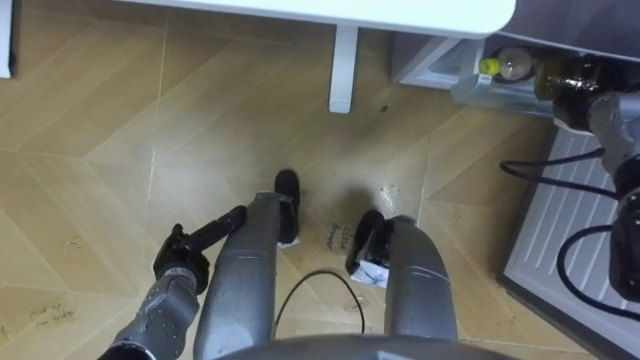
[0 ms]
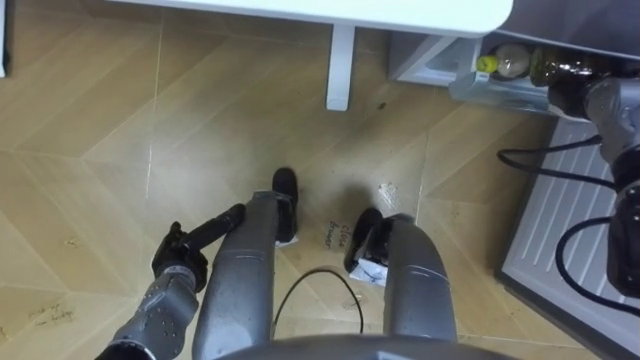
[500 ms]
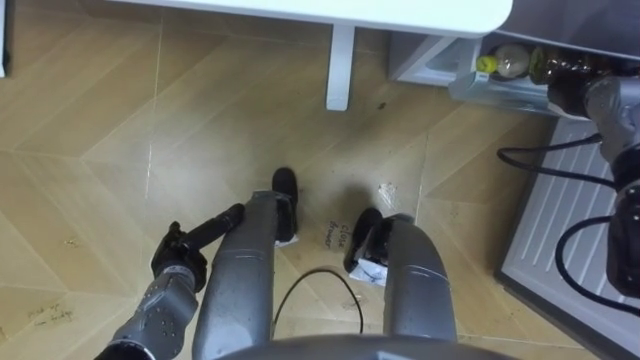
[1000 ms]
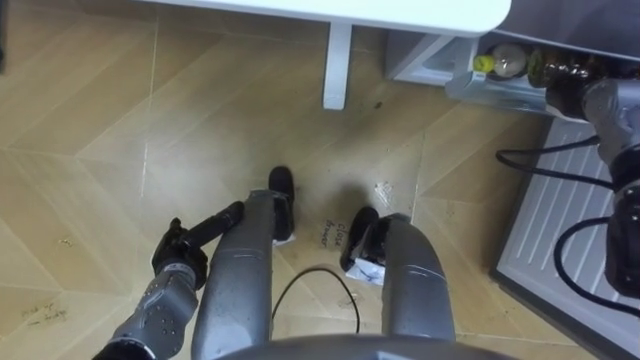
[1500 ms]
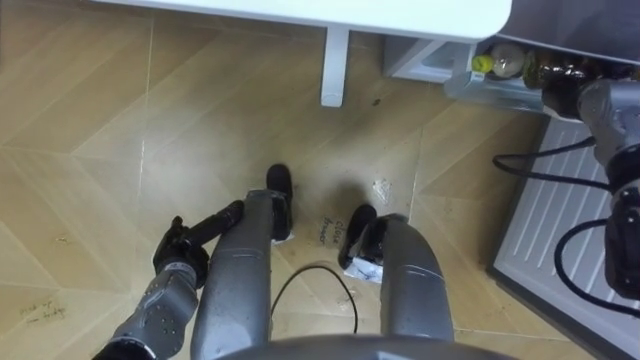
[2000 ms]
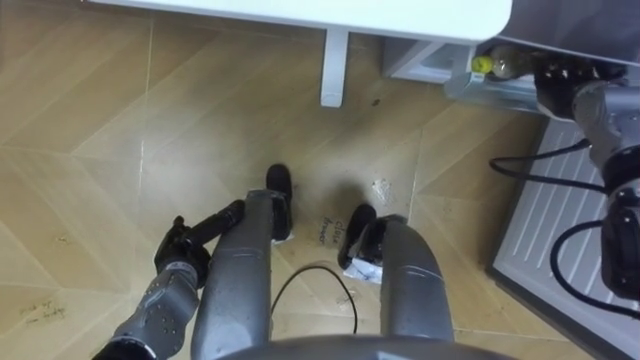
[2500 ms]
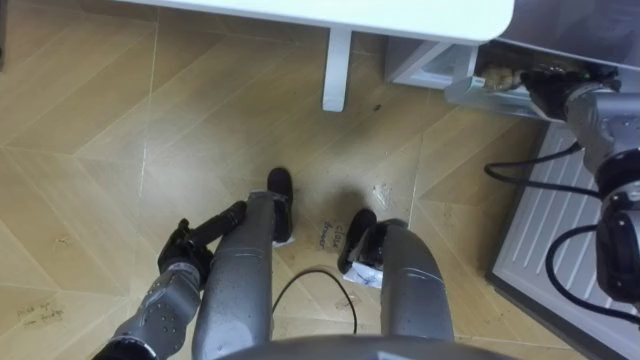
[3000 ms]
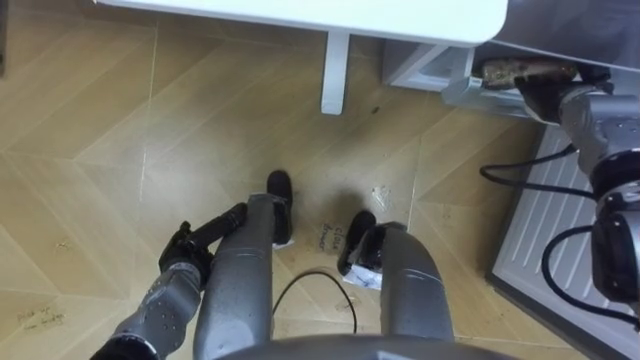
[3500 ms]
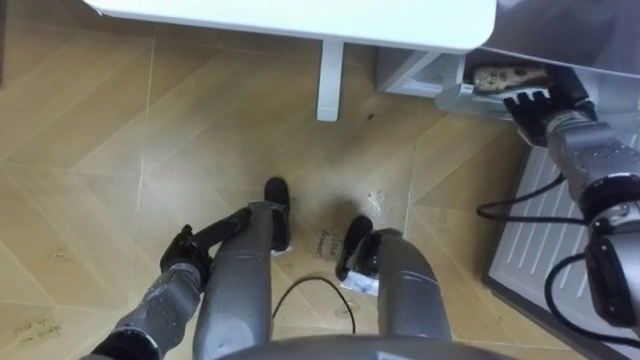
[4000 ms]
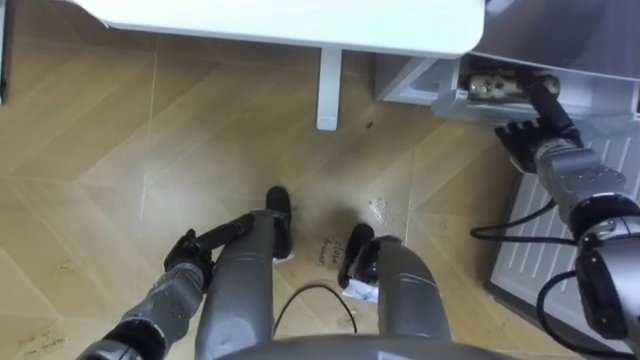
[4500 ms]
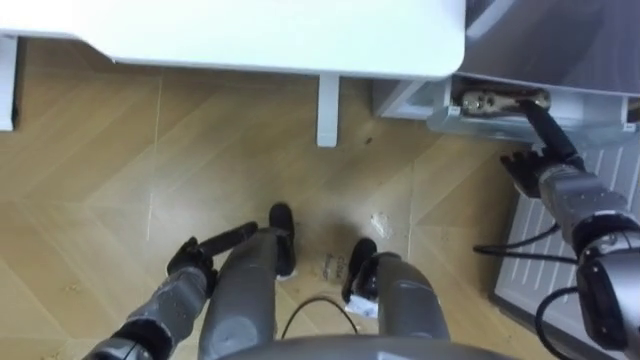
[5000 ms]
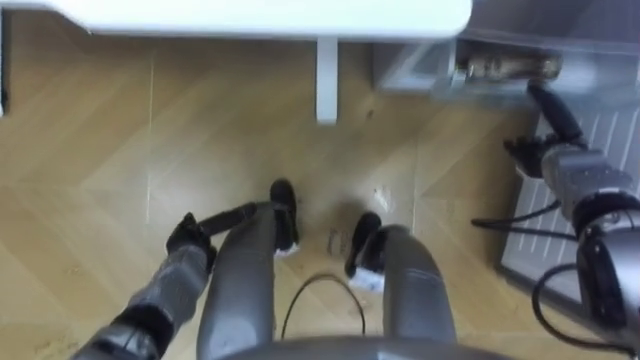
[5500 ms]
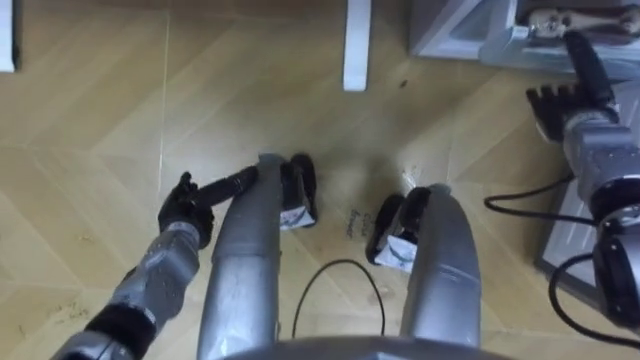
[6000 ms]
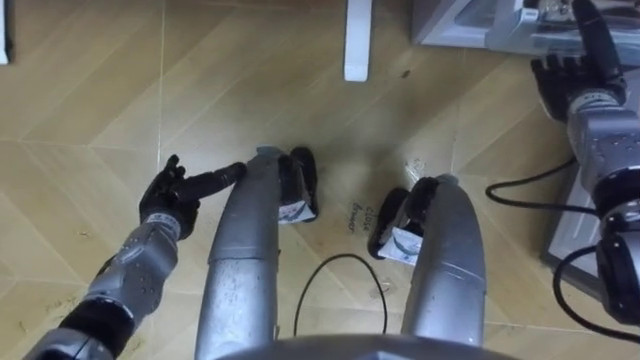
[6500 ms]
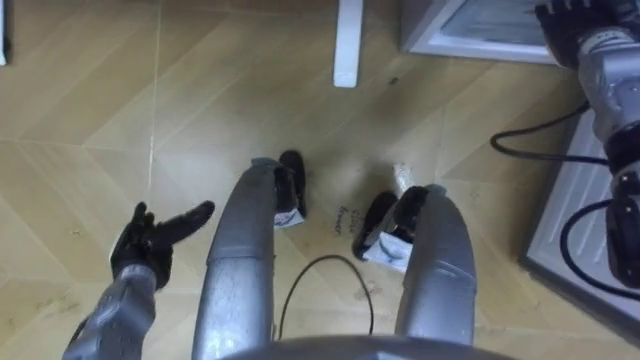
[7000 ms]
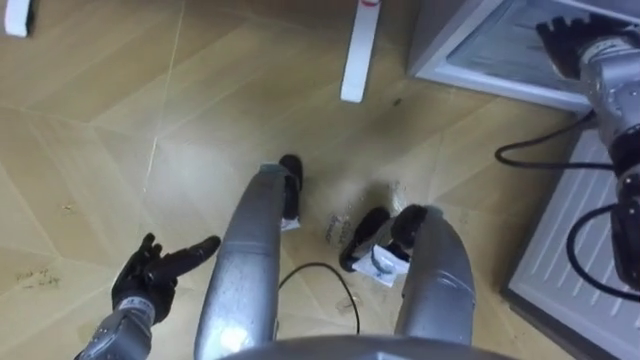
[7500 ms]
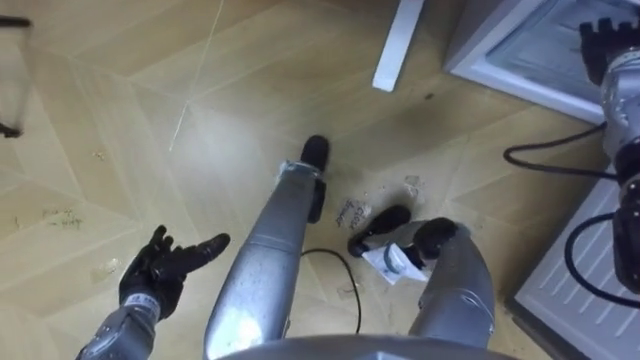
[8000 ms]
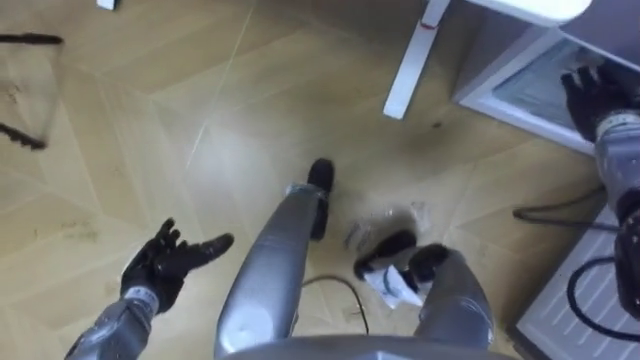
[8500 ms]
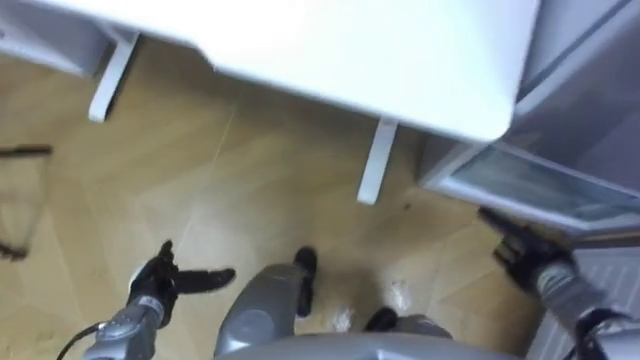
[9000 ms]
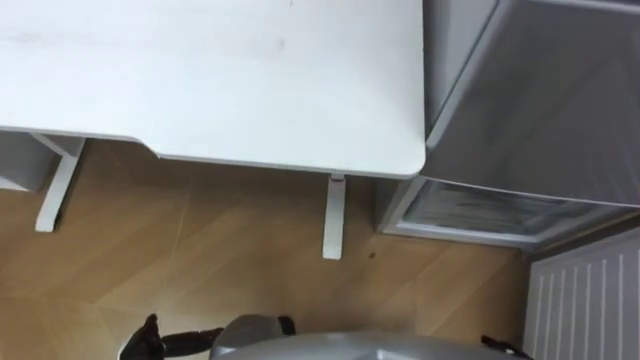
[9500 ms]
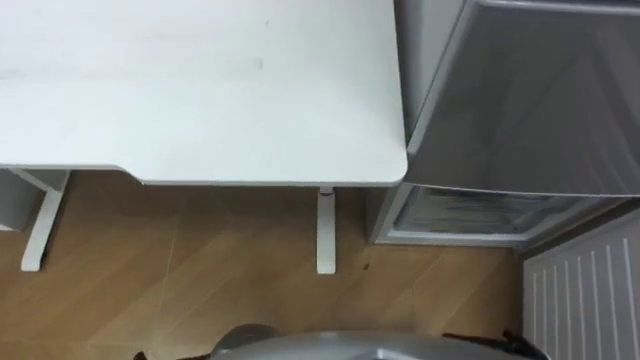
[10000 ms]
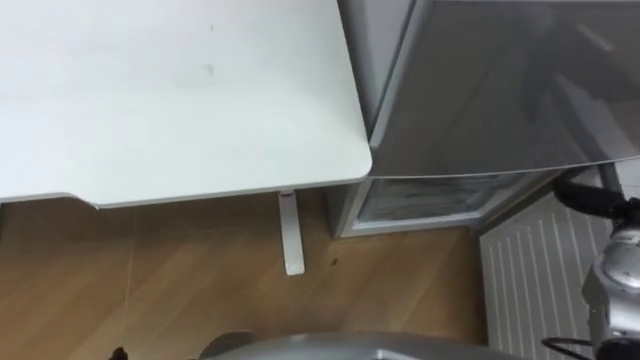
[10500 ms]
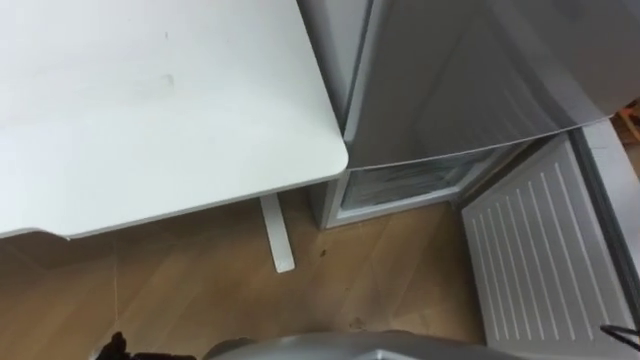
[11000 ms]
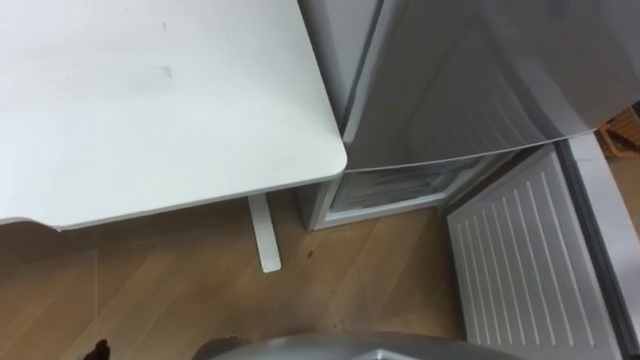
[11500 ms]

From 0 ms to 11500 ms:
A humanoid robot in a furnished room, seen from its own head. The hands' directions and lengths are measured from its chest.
Task of the whole recording: Place the drink on the table on the bottom shelf of the refrigerator, then close the drawer and the refrigerator door.
From 2000 ms to 4000 ms: The right hand opens up.
From 4000 ms to 6000 ms: The left hand is displaced forward by about 5 cm.
From 6000 ms to 7500 ms: The left hand heads backward and to the left, covering some 10 cm, while the right hand is displaced upward and forward by approximately 10 cm.

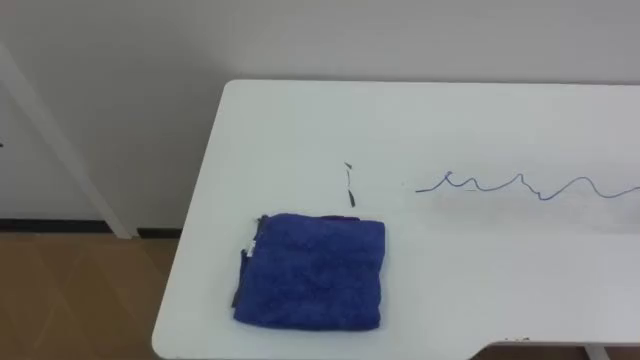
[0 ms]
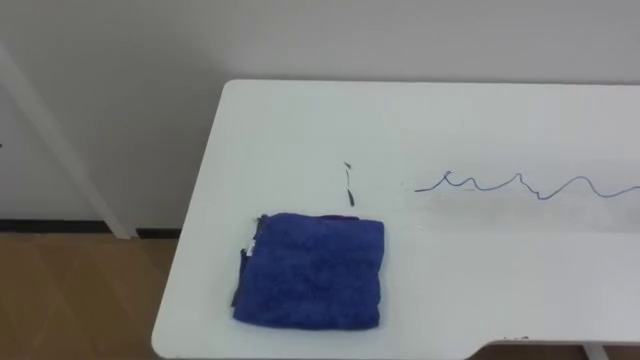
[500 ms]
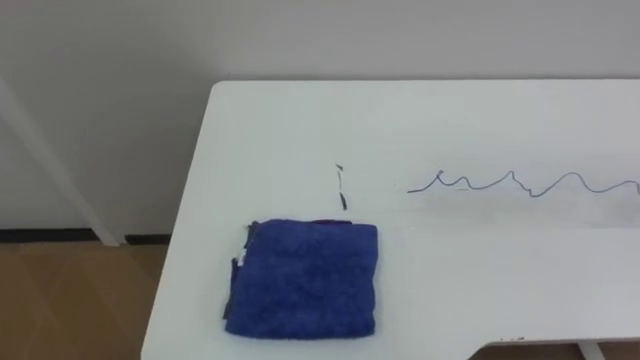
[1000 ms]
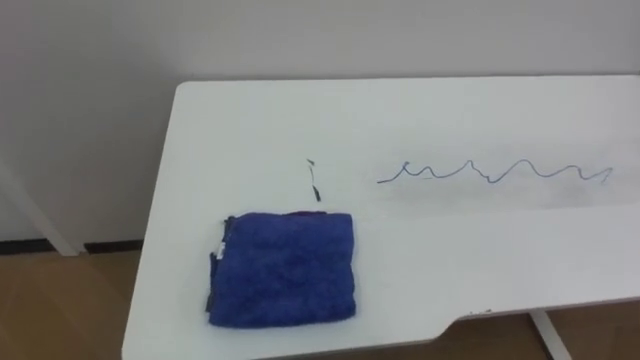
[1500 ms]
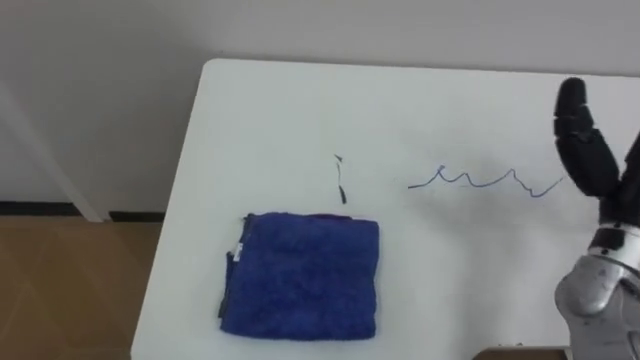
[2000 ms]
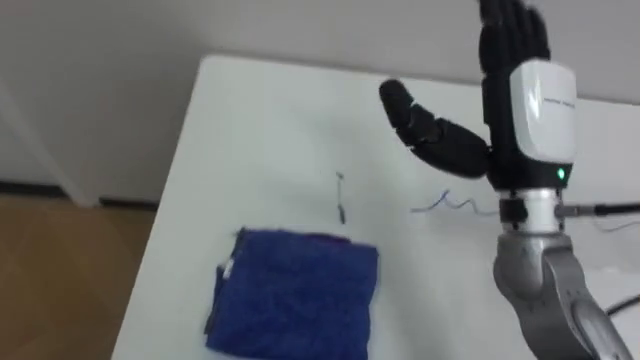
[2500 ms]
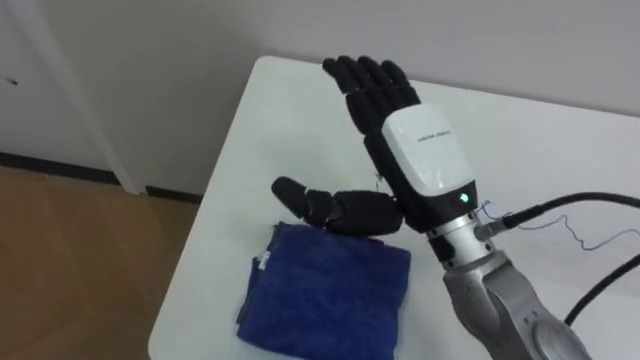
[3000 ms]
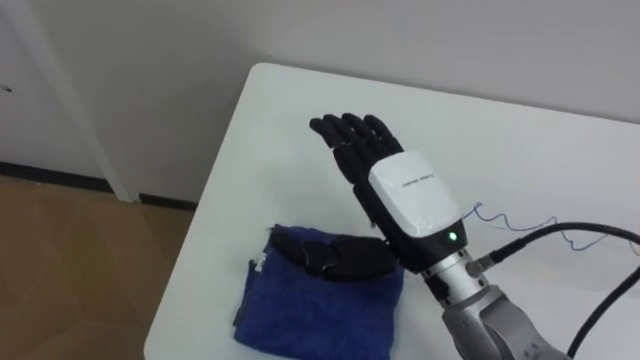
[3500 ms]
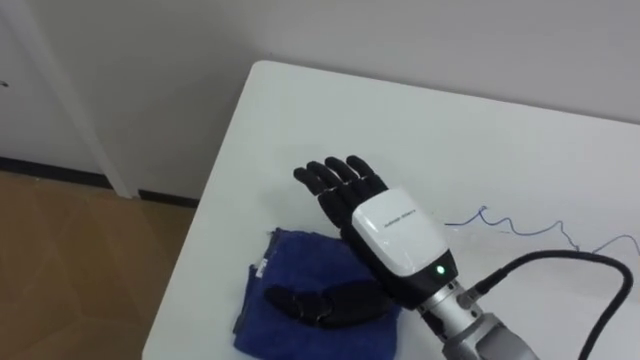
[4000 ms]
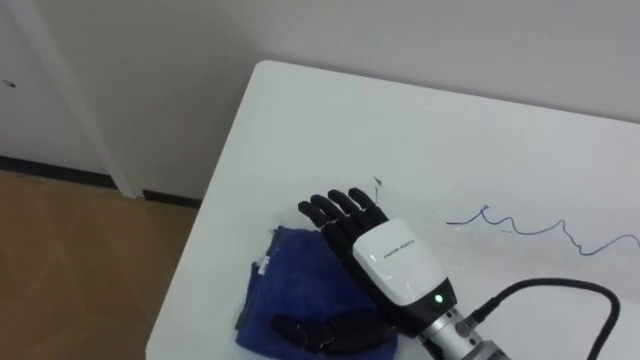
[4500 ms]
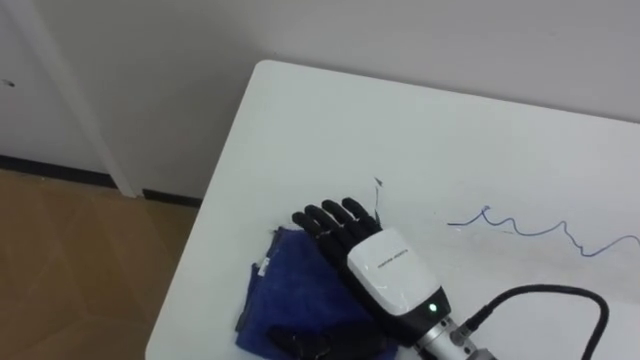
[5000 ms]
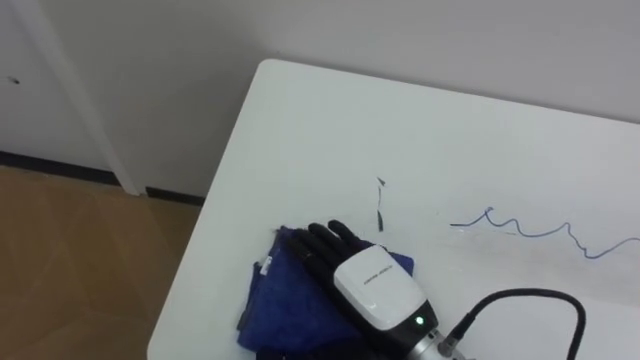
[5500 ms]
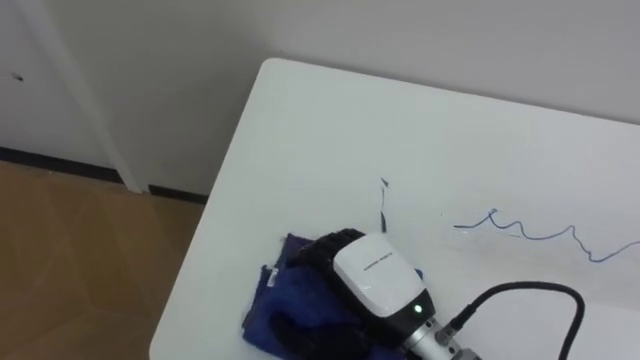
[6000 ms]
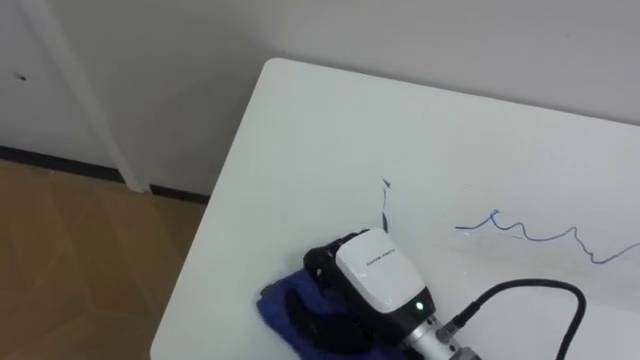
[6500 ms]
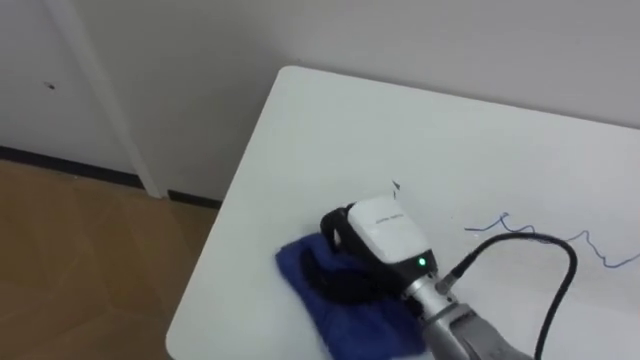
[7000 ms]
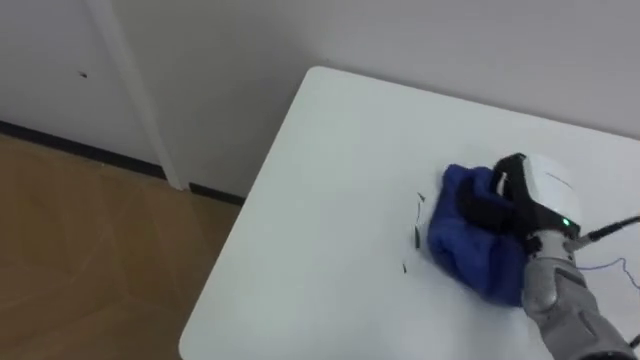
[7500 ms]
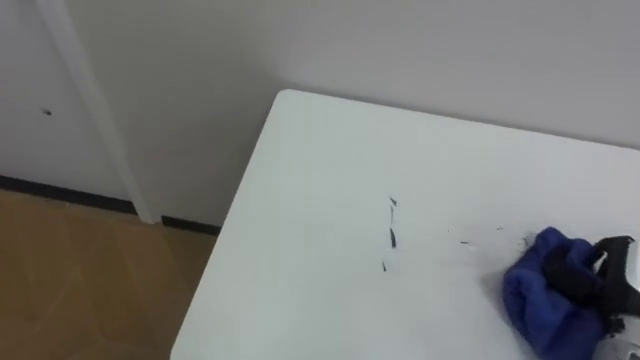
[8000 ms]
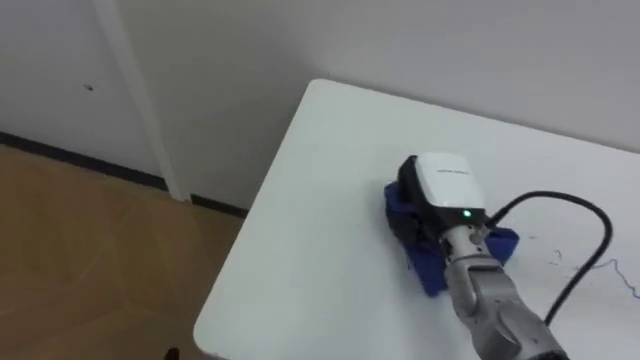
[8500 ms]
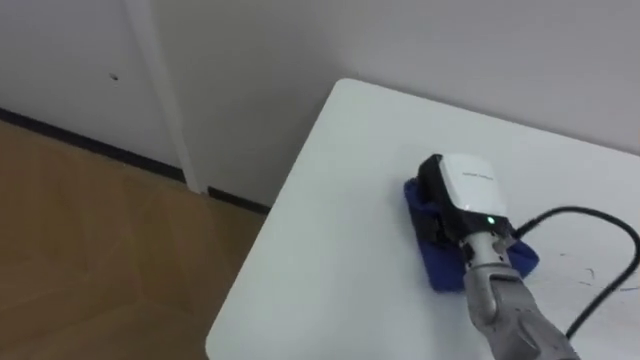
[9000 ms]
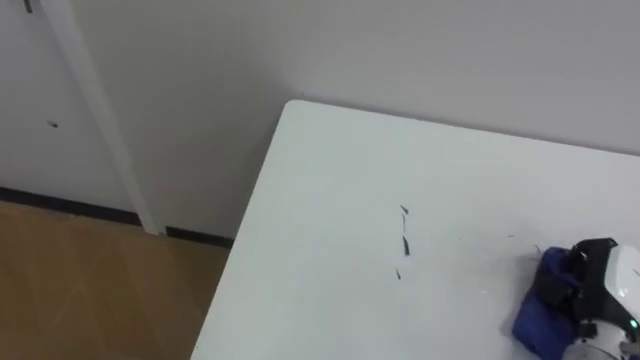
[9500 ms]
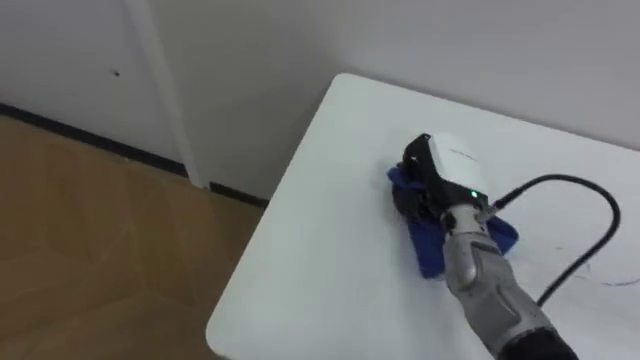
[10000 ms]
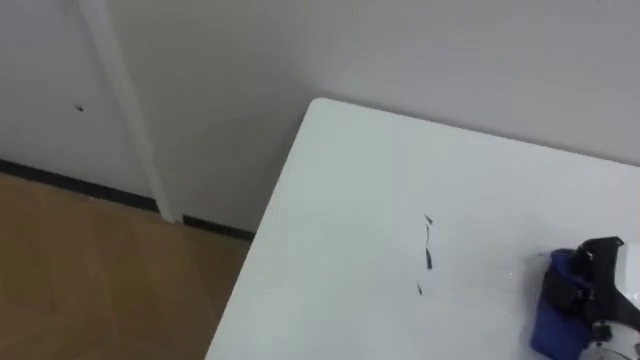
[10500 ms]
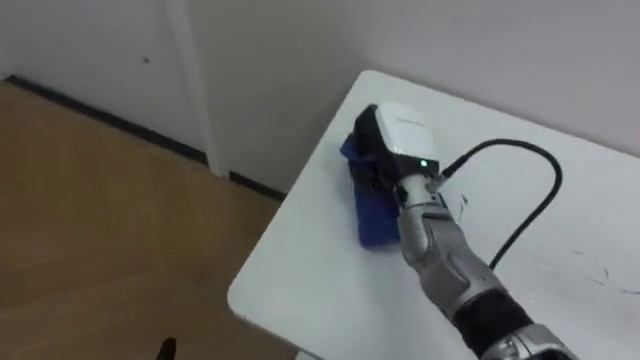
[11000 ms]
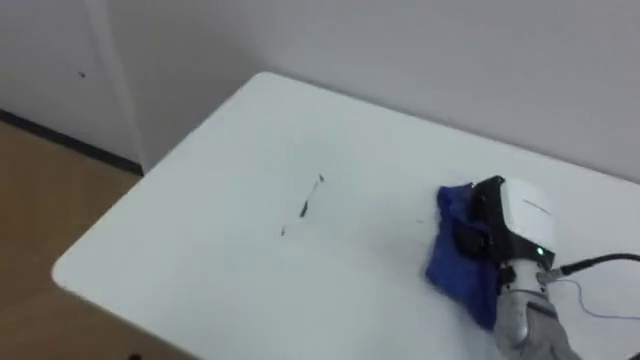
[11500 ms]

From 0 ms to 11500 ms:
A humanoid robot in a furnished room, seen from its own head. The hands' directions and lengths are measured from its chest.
Task of the whole recording: Wipe the blue pen marks off the table with the rag.
From 4000 ms to 6000 ms: The right hand travels downward by about 5 cm.
From 6000 ms to 7500 ms: The right hand goes approximately 25 cm to the right and forward, and closes up.
From 7500 ms to 9500 ms: The right hand moves left and right over roughly 20 cm, changing direction 2 times.
From 9500 ms to 11500 ms: The right hand goes left and right, roughly 25 cm each way, reversing 3 times.
